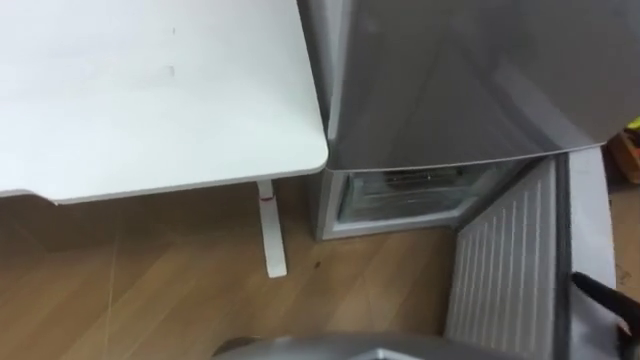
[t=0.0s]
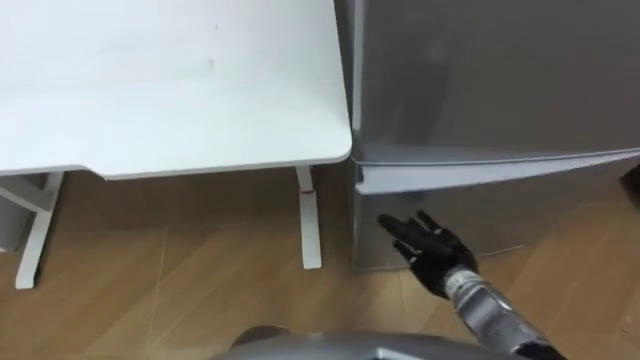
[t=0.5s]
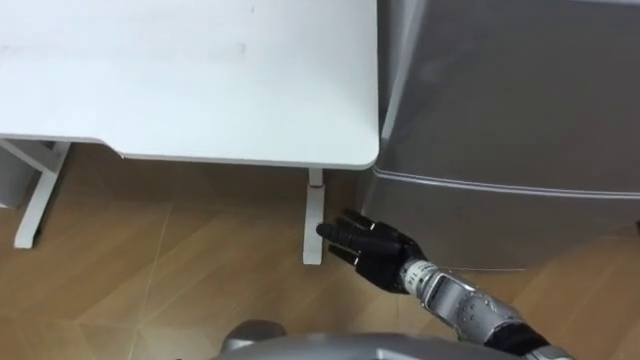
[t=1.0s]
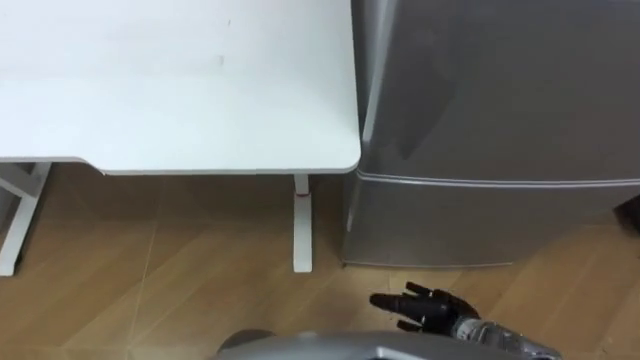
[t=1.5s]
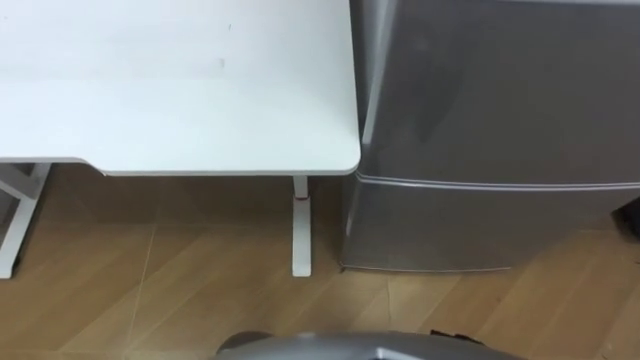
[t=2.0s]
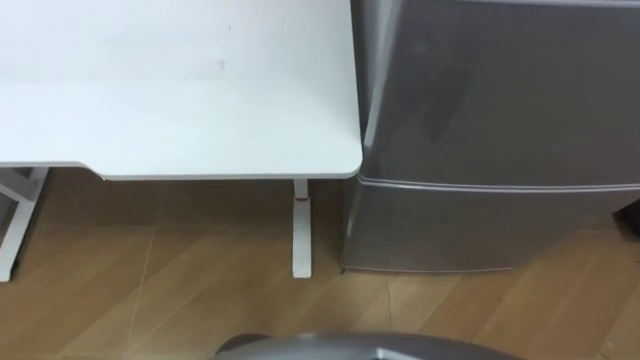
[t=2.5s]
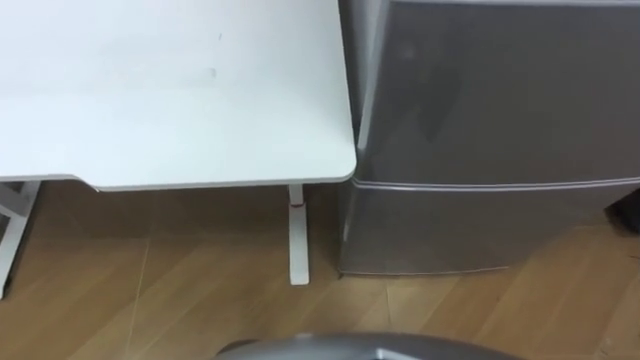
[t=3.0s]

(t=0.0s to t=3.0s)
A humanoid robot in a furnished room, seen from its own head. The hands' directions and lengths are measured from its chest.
Task of the whole recording: Place the drink on the table on the bottom shelf of the refrigerator, then close the drawer and the refrigerator door.
t=0.0s - t=1.5s: The right hand moves to the left, some 25 cm.

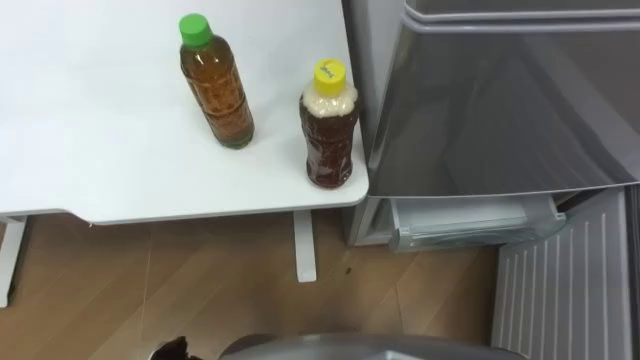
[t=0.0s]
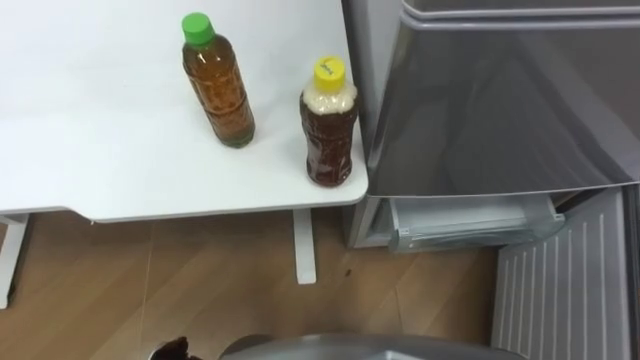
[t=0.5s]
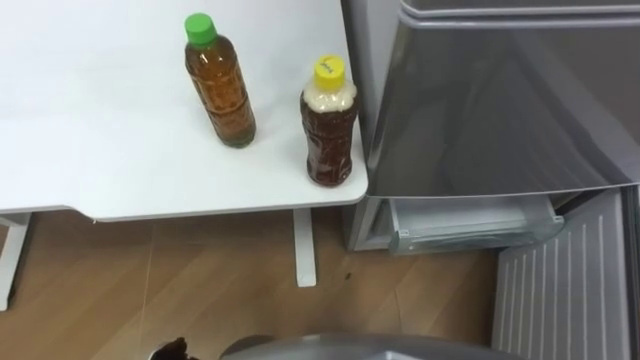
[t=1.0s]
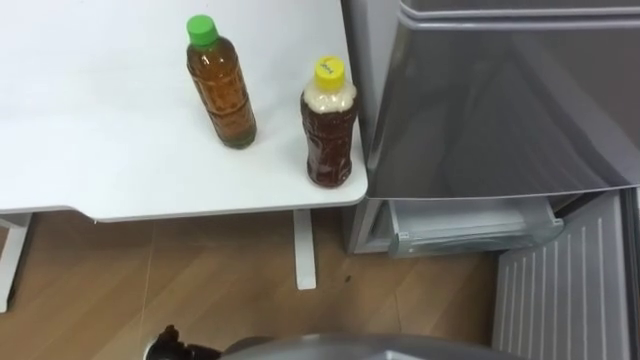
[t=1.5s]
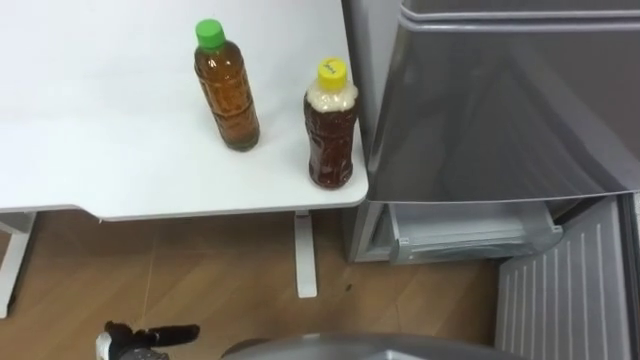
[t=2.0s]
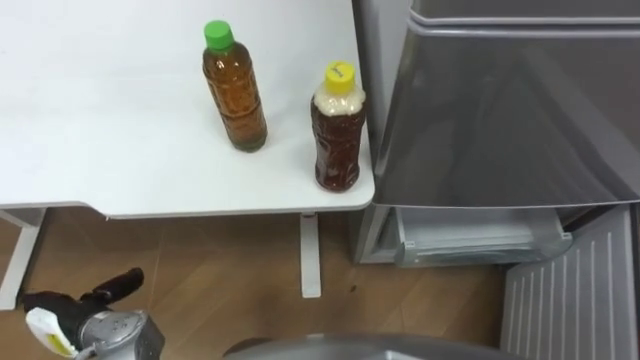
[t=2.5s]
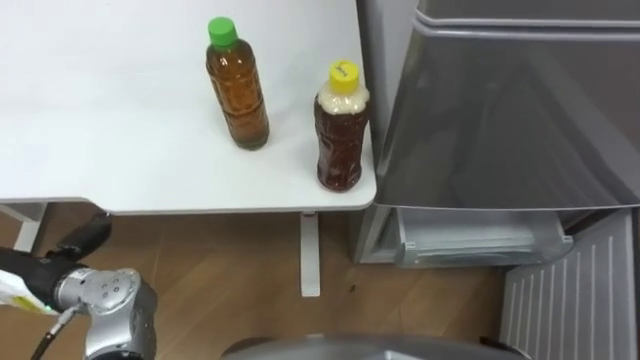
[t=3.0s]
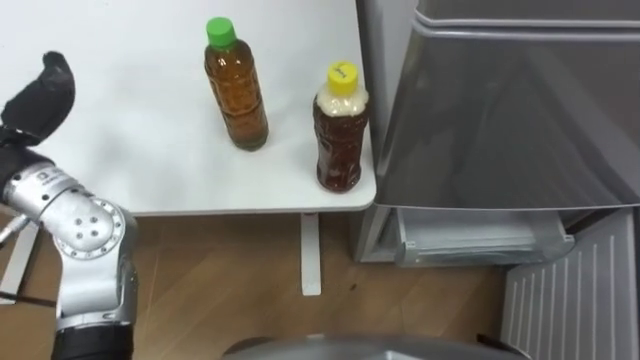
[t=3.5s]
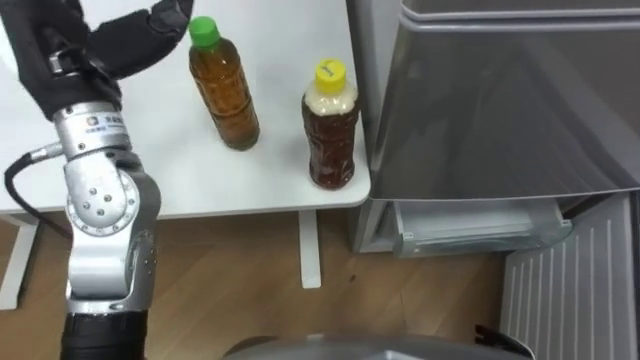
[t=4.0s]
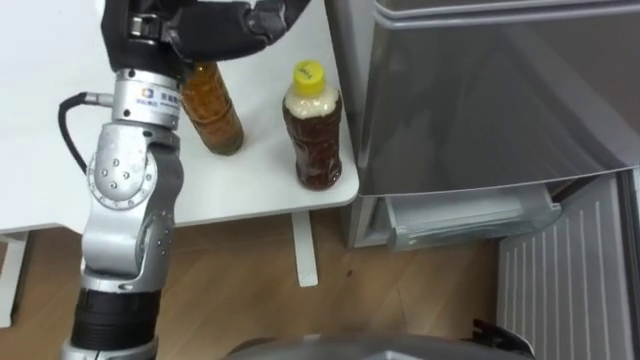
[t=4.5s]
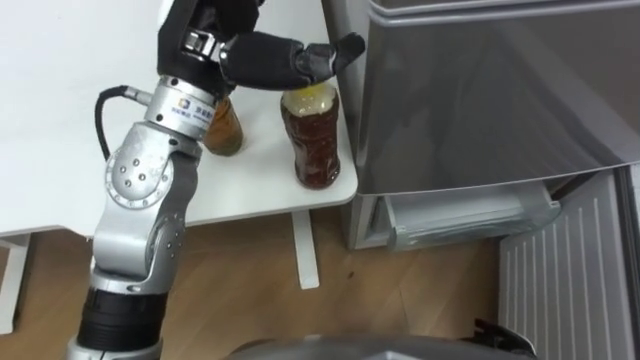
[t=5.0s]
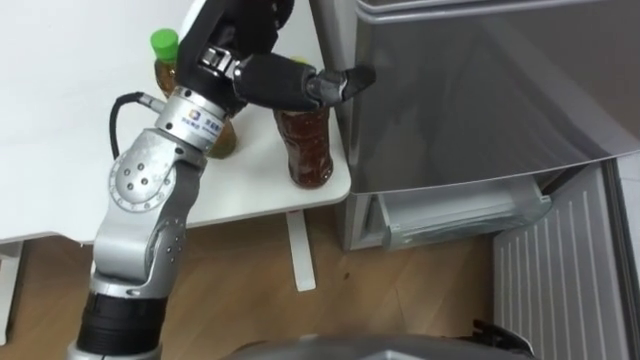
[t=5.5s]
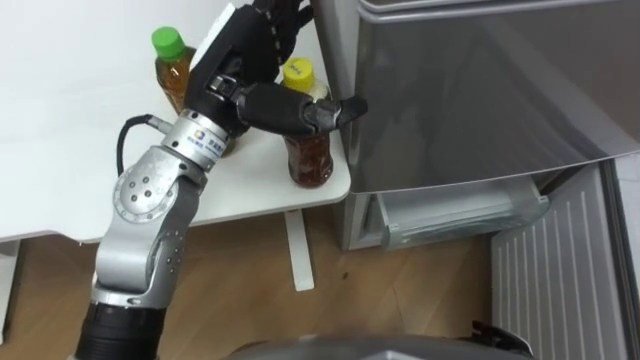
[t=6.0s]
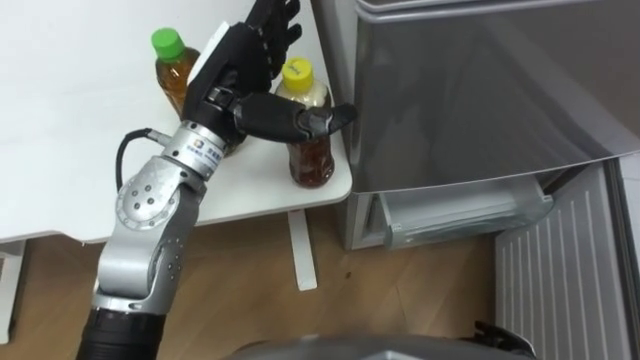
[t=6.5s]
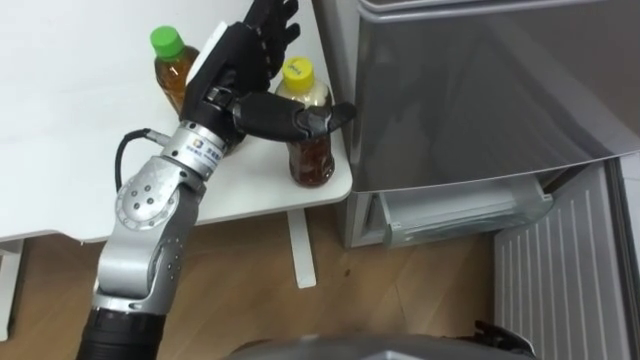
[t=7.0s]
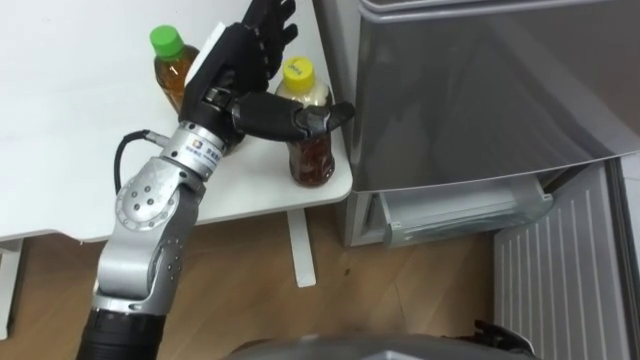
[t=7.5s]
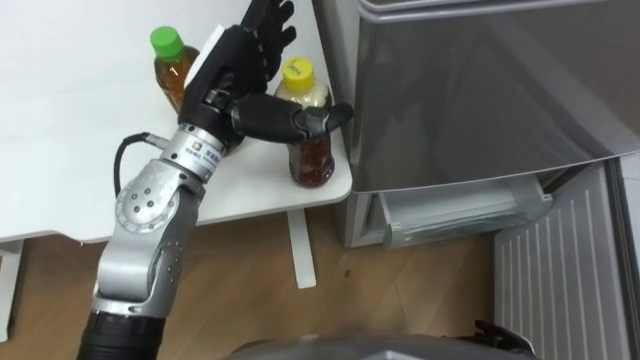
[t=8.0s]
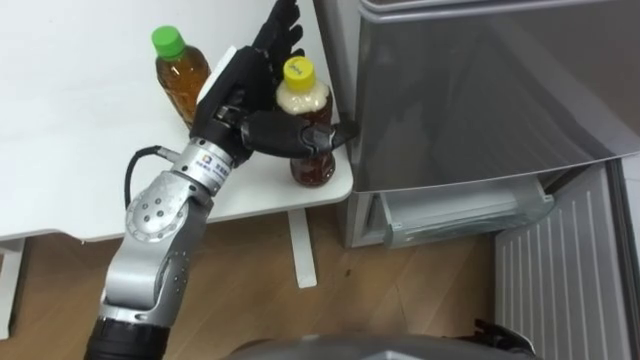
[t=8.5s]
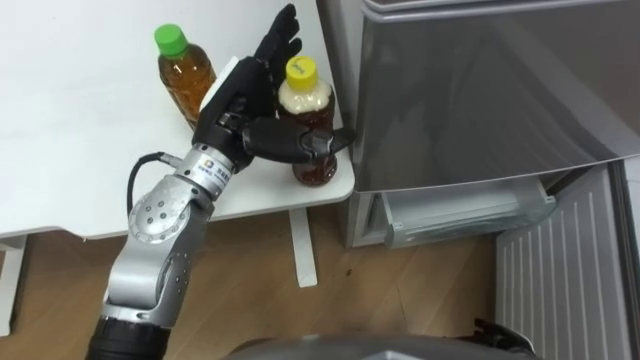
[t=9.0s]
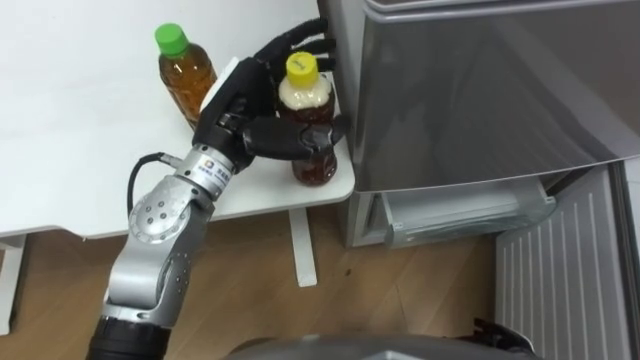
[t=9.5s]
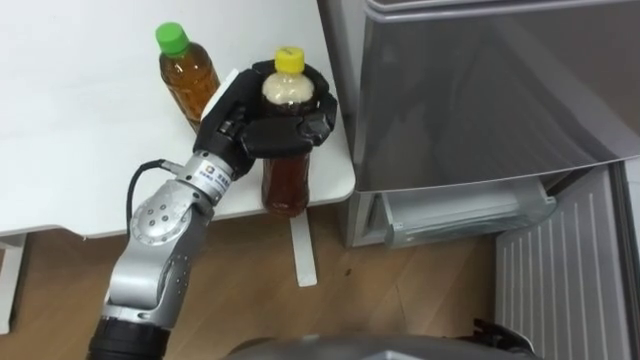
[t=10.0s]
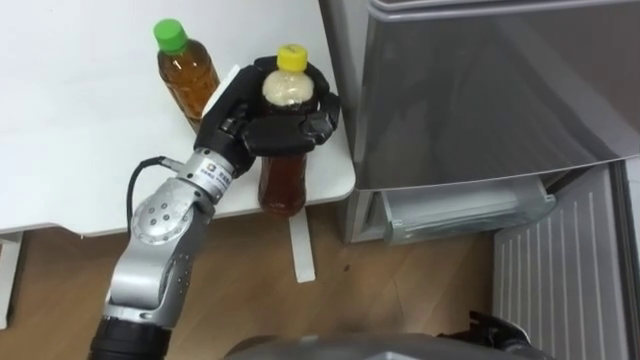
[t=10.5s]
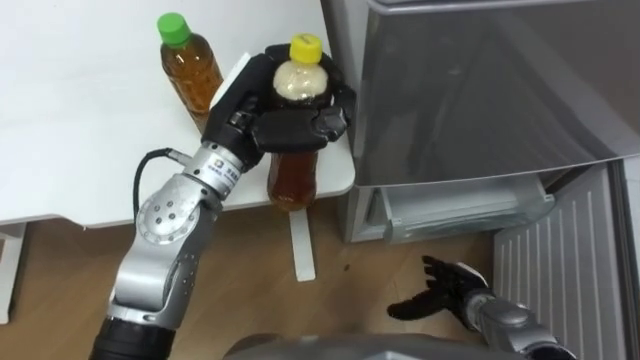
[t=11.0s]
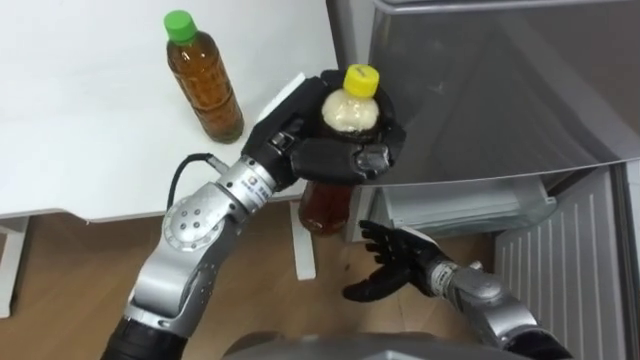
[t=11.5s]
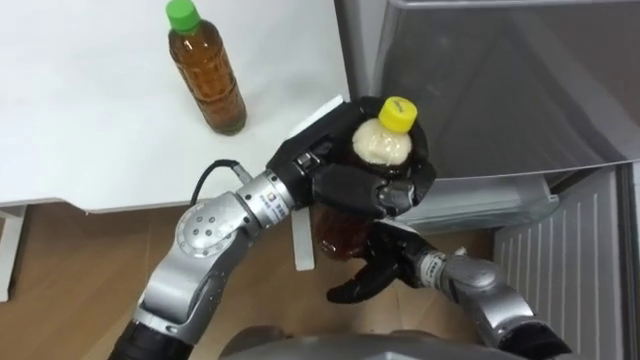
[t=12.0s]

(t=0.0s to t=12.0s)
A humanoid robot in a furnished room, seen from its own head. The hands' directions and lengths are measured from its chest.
Task of the whole recording: Place the drink on the table on the bottom shelf of the refrigerator, then close the drawer and the refrigerator door.
t=4.0s - t=6.0s: The left hand travels to the right by about 15 cm.
t=6.0s - t=8.0s: The hands move only a little.
t=8.0s - t=10.0s: The left hand closes.
t=10.0s - t=12.0s: The left hand shifts about 10 cm to the right; the right hand travels to the left, forward and upward by some 25 cm.

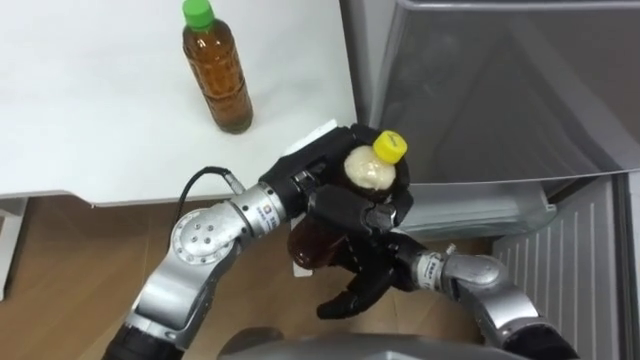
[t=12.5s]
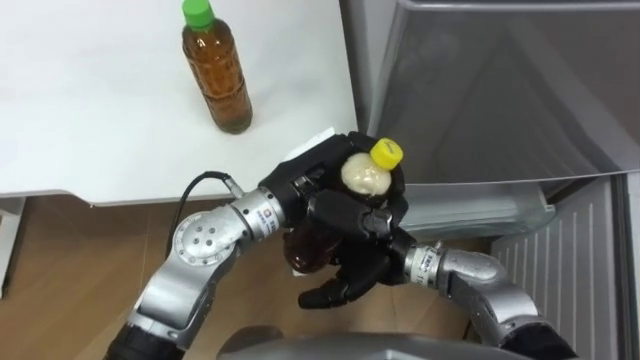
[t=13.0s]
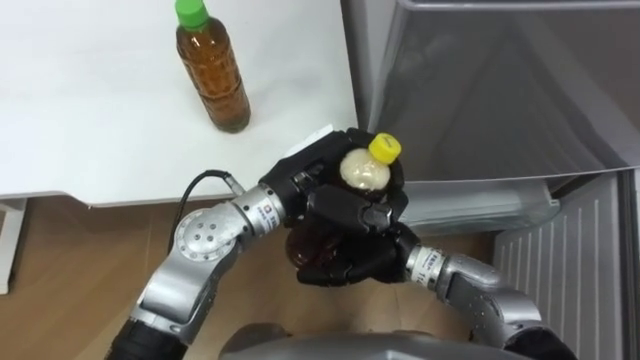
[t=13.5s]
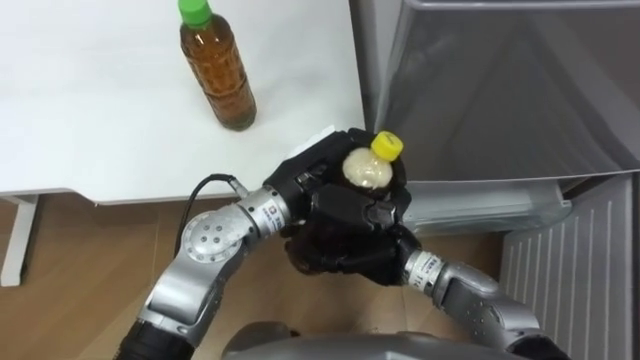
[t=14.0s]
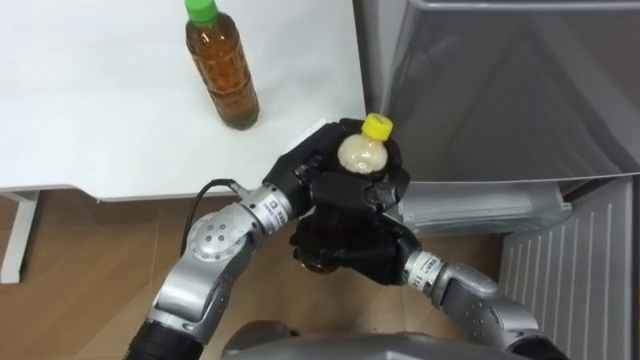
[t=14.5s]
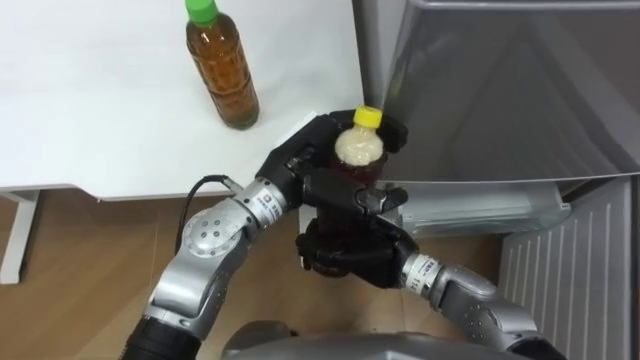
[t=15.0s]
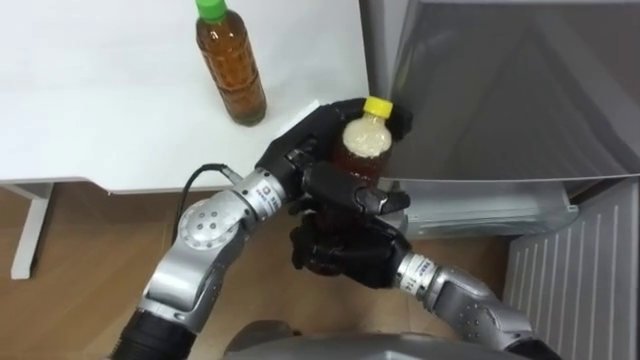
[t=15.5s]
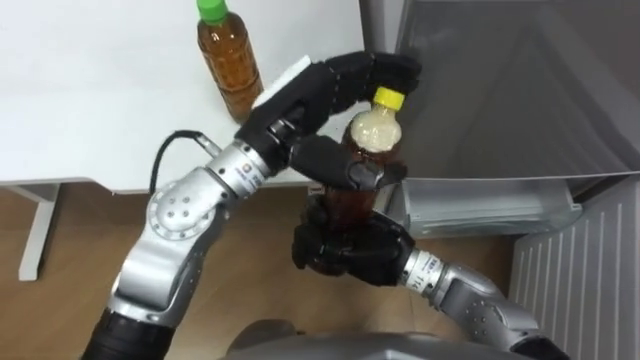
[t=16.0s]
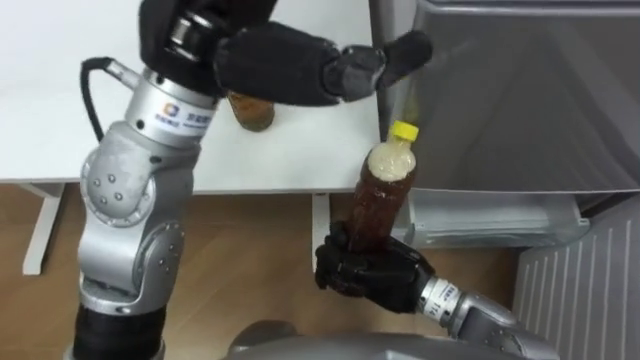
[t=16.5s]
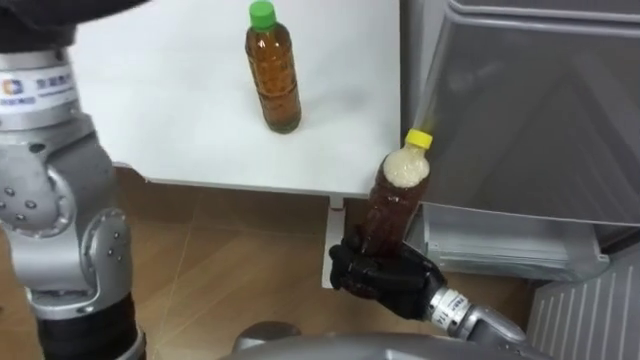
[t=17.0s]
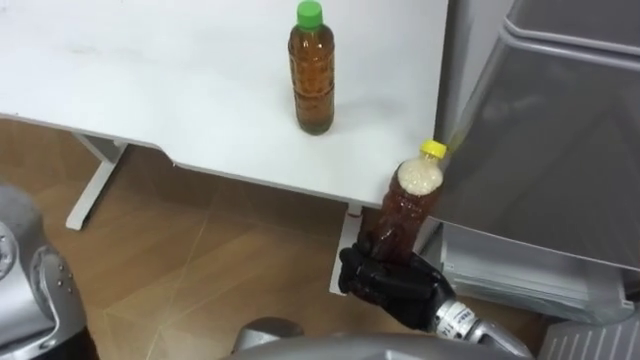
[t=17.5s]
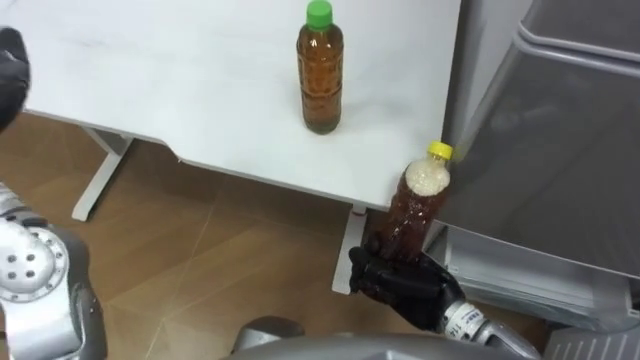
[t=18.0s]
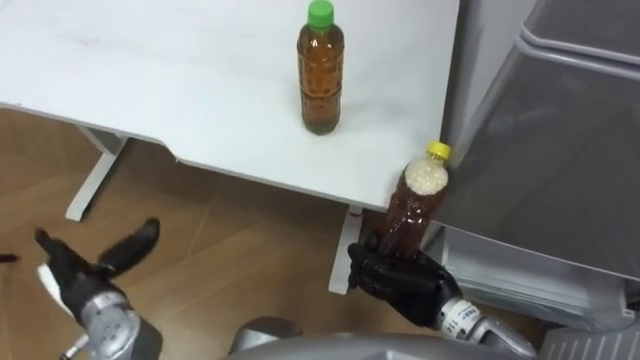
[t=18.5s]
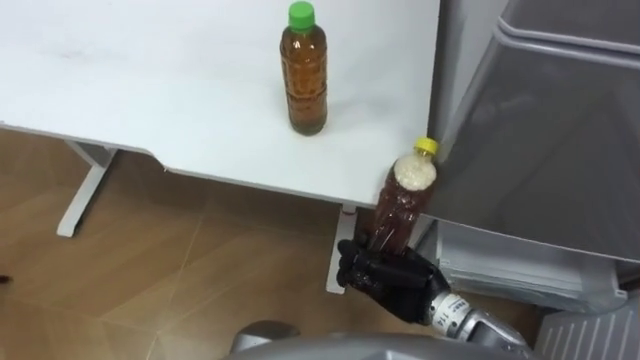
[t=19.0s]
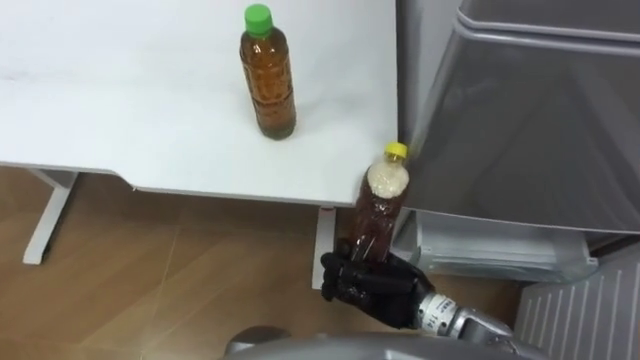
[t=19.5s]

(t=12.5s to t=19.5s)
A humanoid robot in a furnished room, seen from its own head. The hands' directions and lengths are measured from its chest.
Task of the whole recording: Place the drink on the table on the bottom shelf of the refrigerator, then close the drawer and the refrigerator door.
t=12.5s - t=14.5s: The right hand closes.
t=14.5s - t=16.0s: The left hand goes some 10 cm upward, and opens its fingers.
t=16.0s - t=17.5s: The right hand is displaced to the right and downward by approximately 10 cm.
